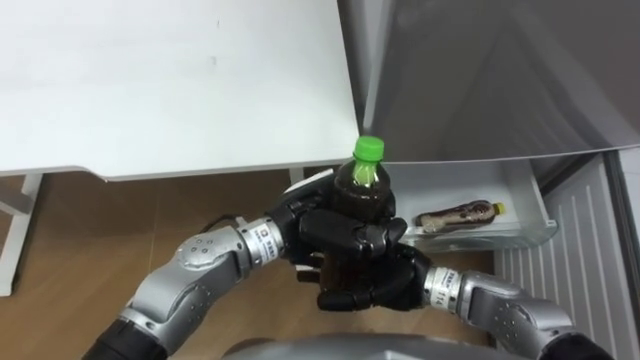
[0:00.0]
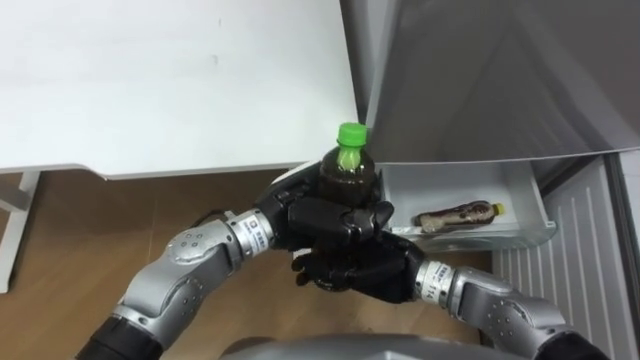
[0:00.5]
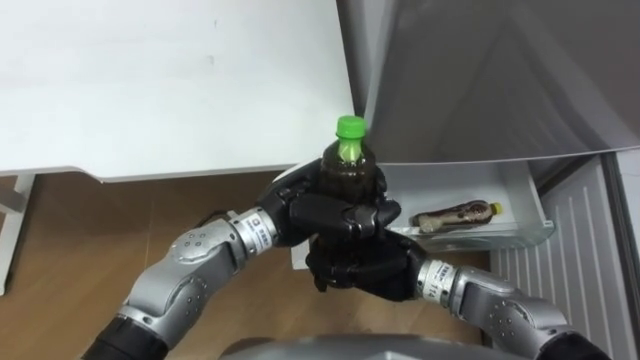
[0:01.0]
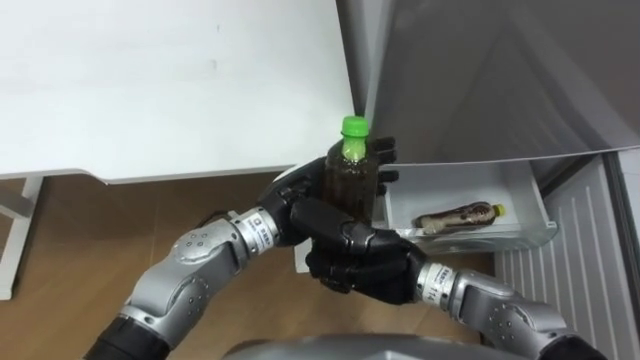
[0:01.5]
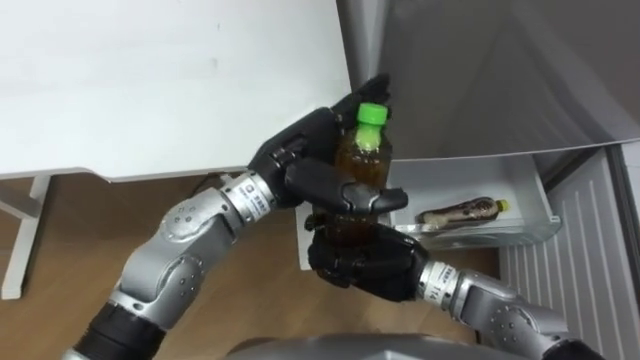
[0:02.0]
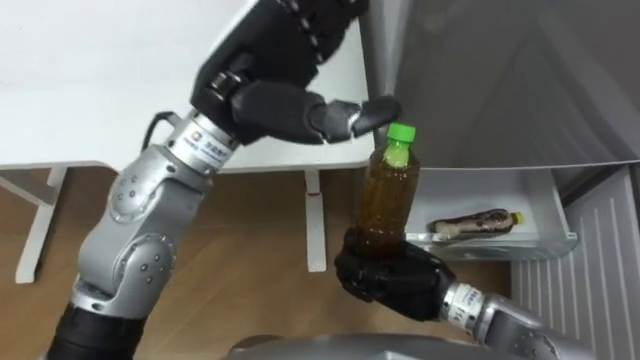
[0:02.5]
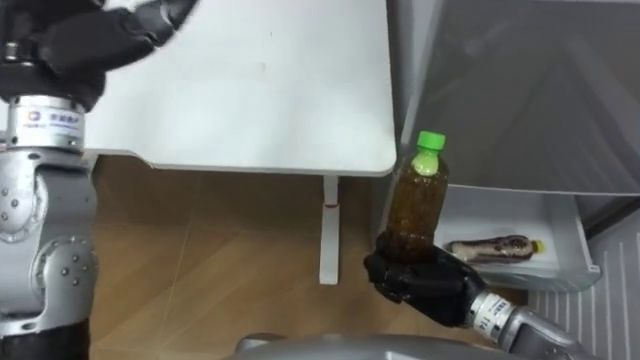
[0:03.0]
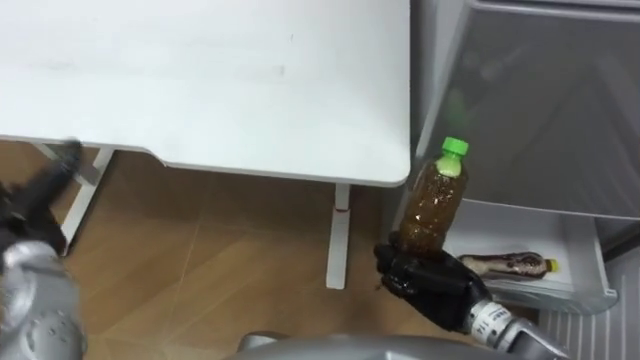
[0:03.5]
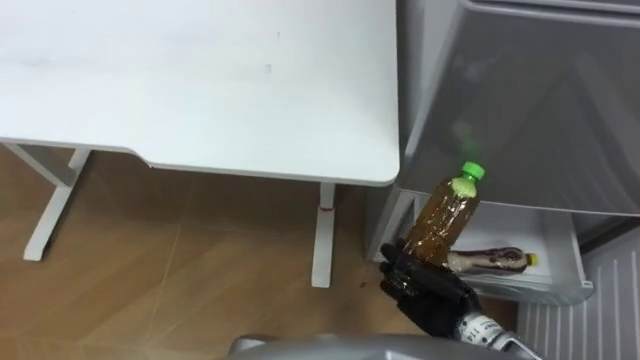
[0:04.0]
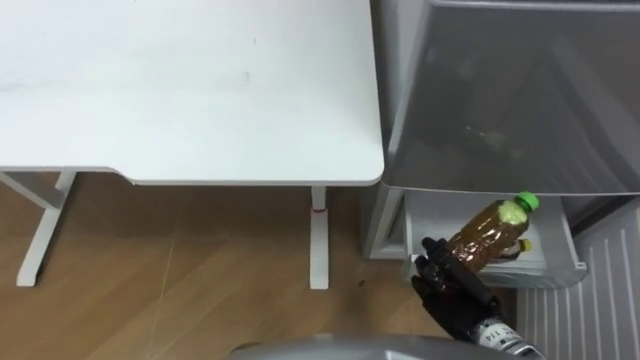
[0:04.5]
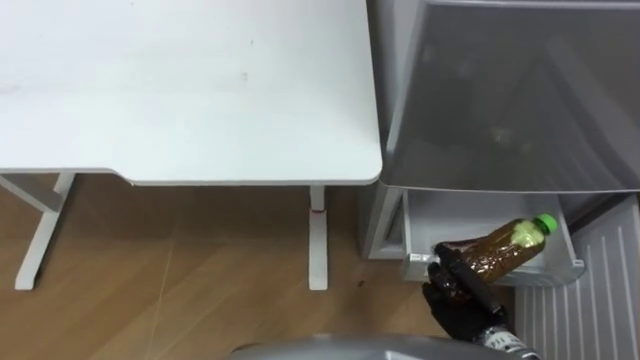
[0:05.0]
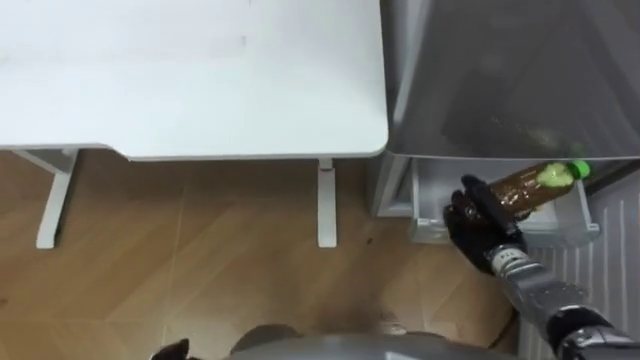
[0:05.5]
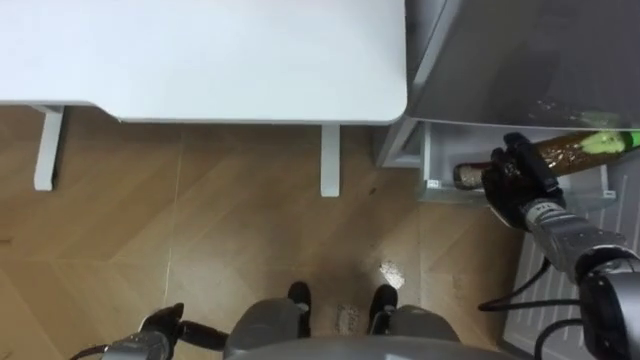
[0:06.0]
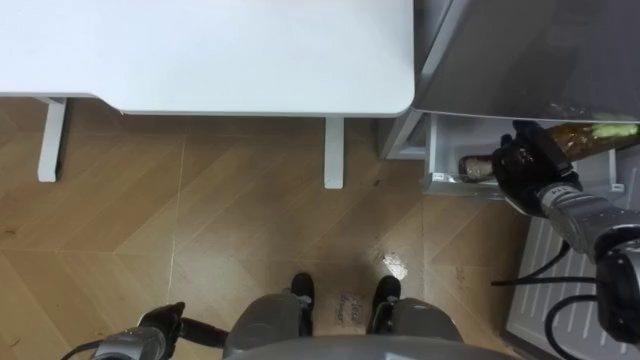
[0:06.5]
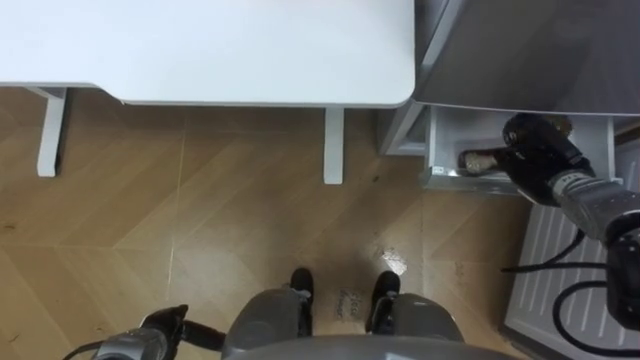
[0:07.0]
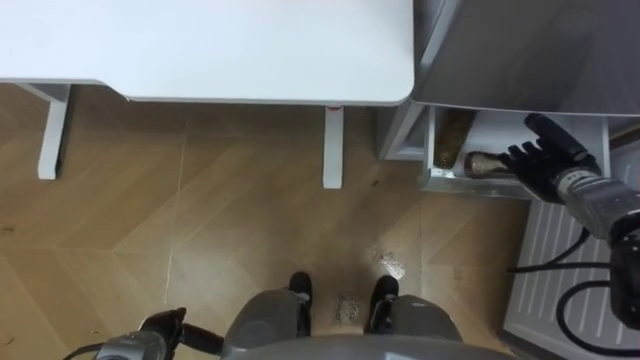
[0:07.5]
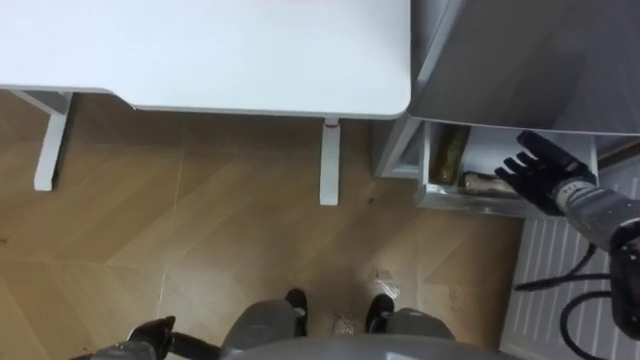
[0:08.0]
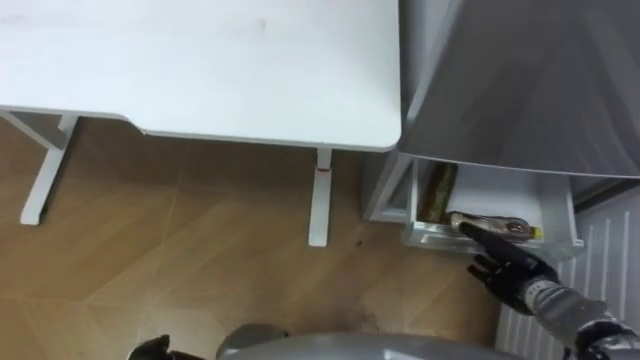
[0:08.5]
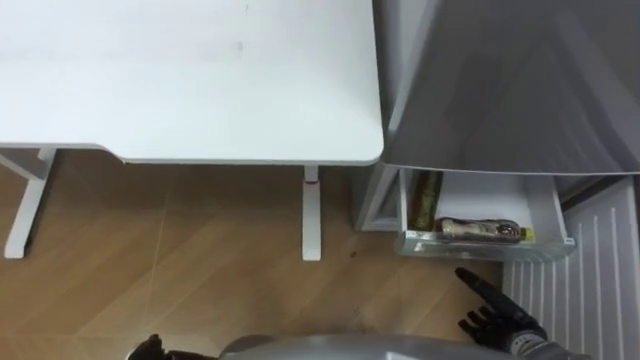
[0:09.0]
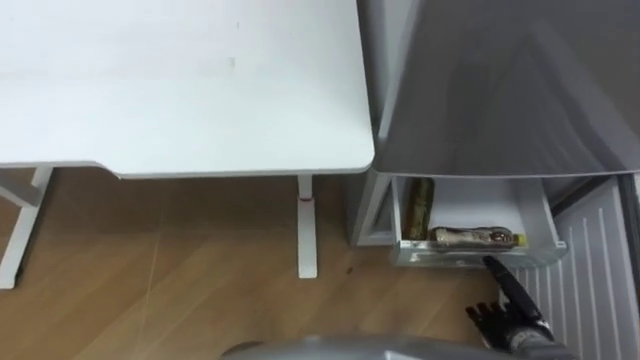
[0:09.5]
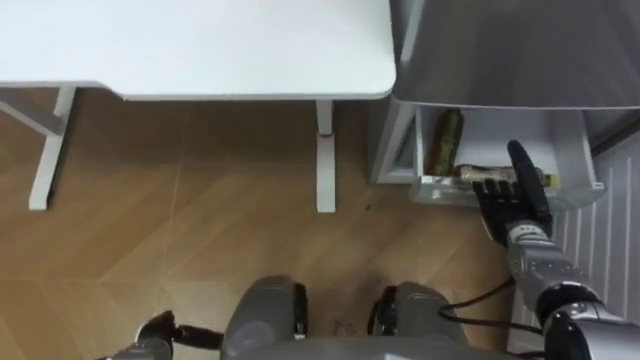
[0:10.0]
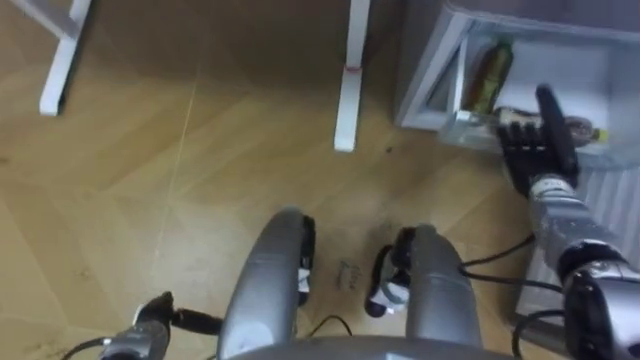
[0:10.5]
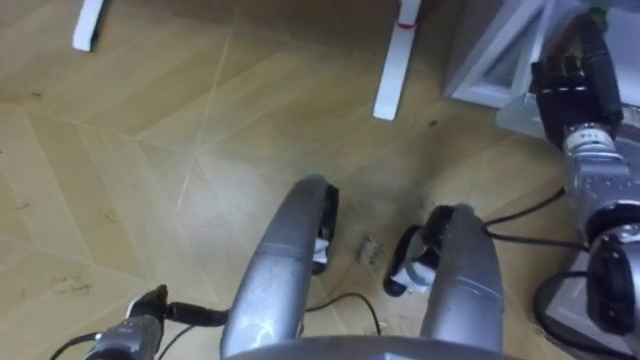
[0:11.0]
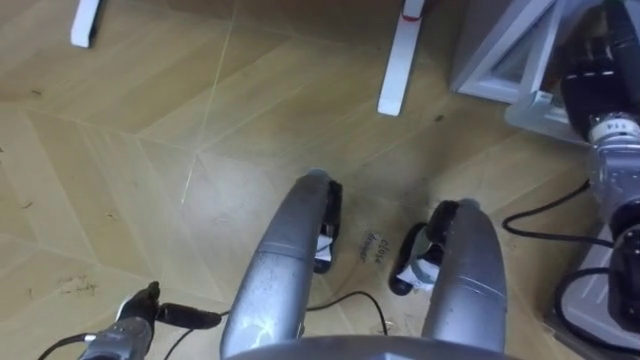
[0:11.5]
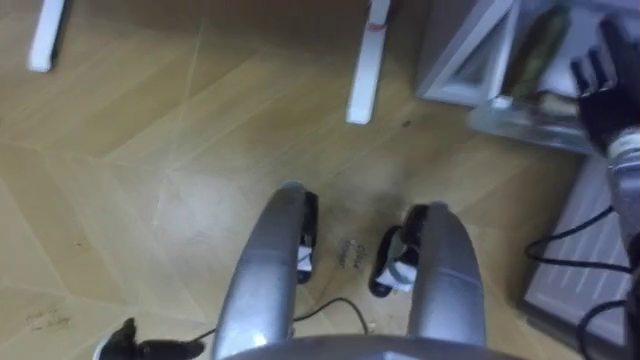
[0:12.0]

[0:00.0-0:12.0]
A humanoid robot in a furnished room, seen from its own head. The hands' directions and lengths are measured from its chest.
Task of the whole recording: Place the drink on the table on the bottom shelf of the refrigerator, then close the drawer and the refrigerator door.
0:00.0 to 0:02.0: The left hand goes approximately 5 cm upward, and opens its fingers, while the right hand closes its fingers.
0:02.0 to 0:04.0: The right hand shifts roughly 10 cm to the right and downward.
0:04.0 to 0:06.0: The right hand is displaced to the right and forward by about 20 cm.
0:06.0 to 0:08.0: The right hand shifts by approximately 5 cm, and opens.
0:08.0 to 0:10.0: The right hand reaches approximately 20 cm backward, then returns.
0:10.0 to 0:12.0: The right hand shifts roughly 20 cm upward, forward and to the right.

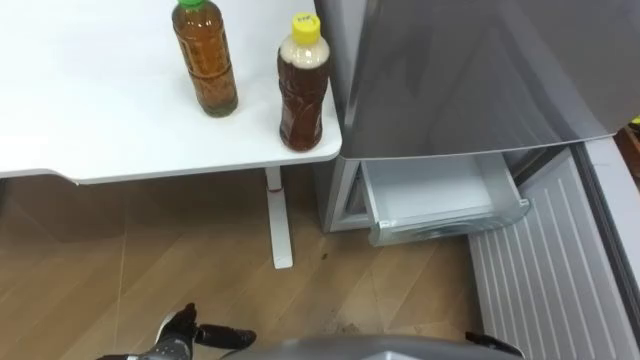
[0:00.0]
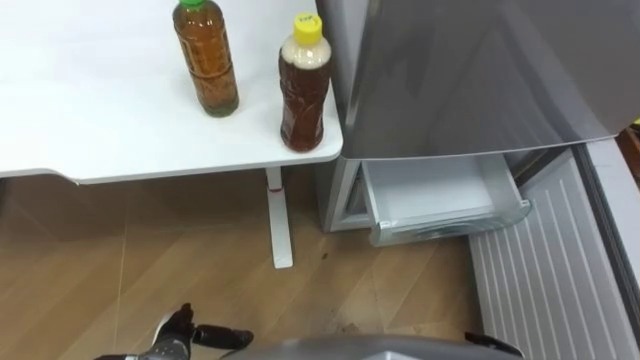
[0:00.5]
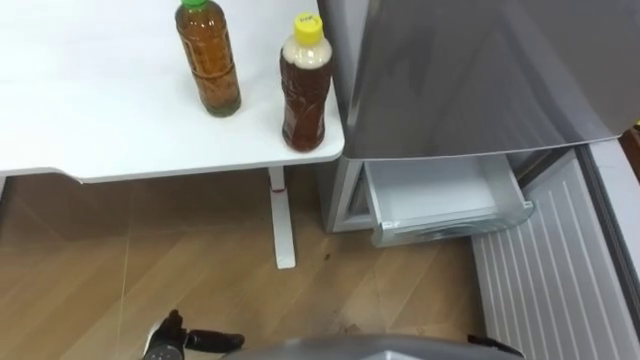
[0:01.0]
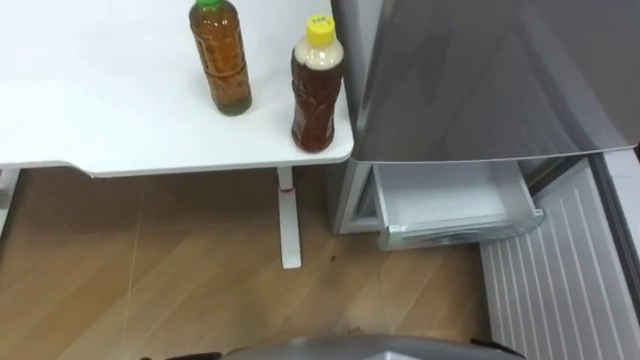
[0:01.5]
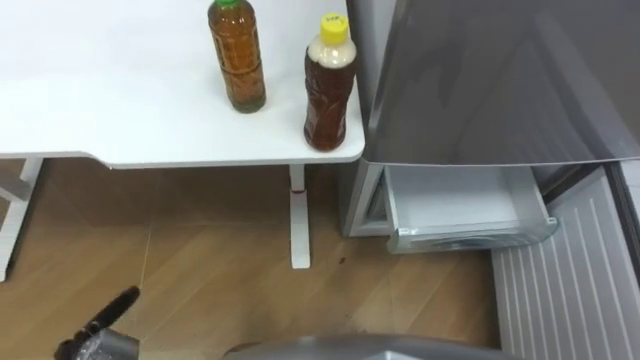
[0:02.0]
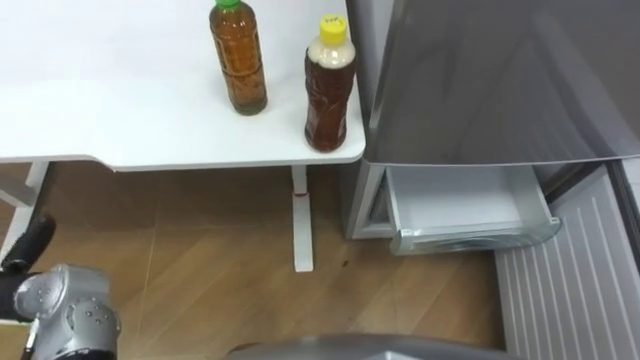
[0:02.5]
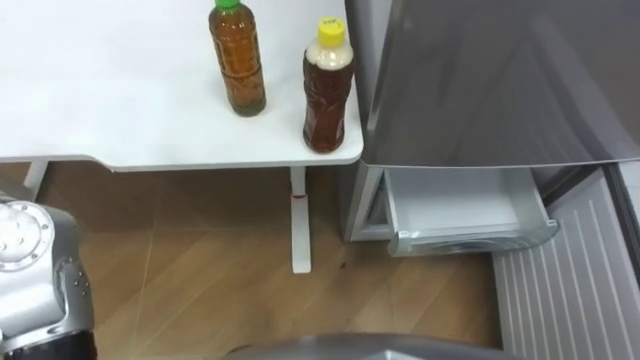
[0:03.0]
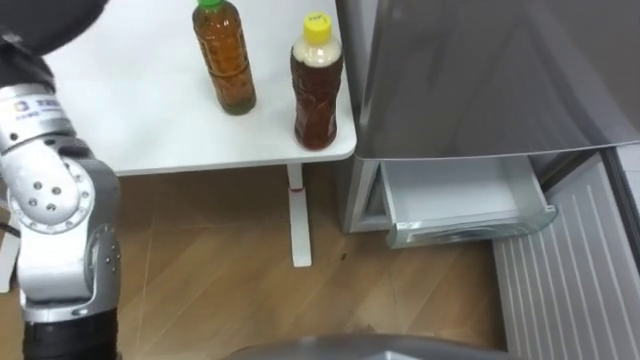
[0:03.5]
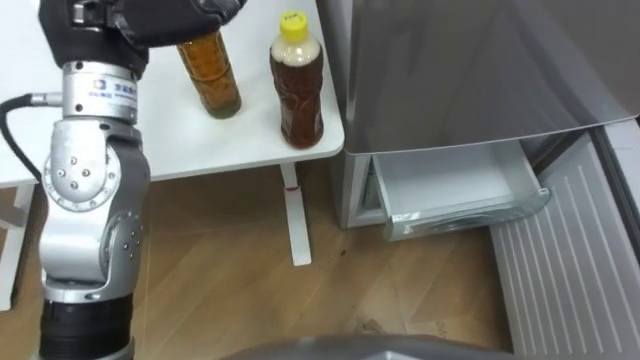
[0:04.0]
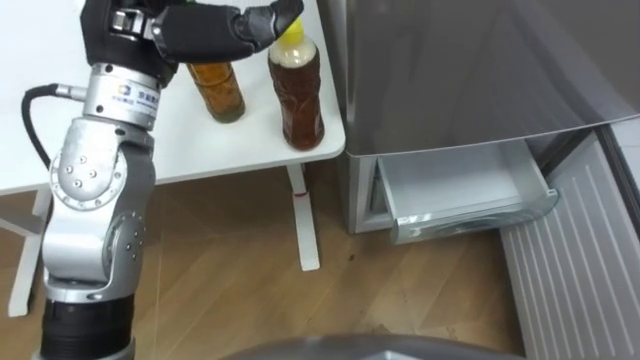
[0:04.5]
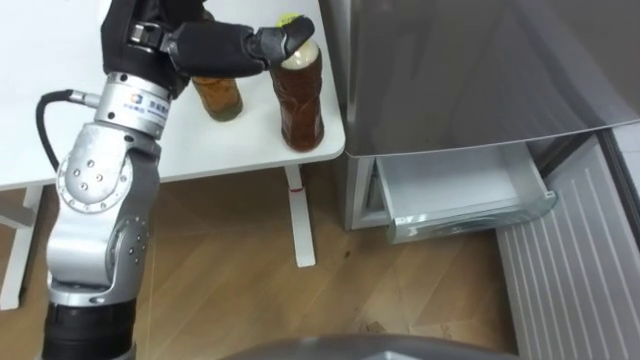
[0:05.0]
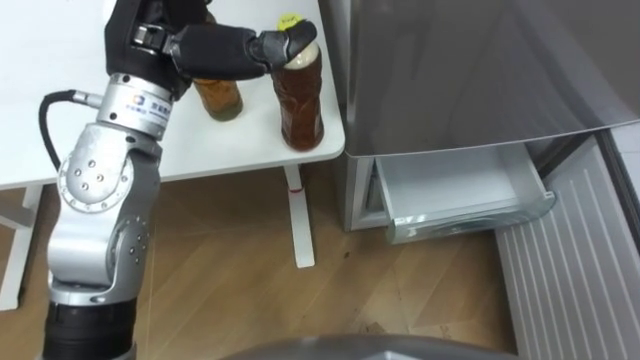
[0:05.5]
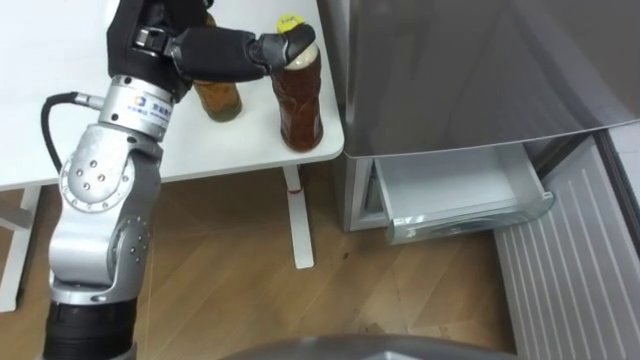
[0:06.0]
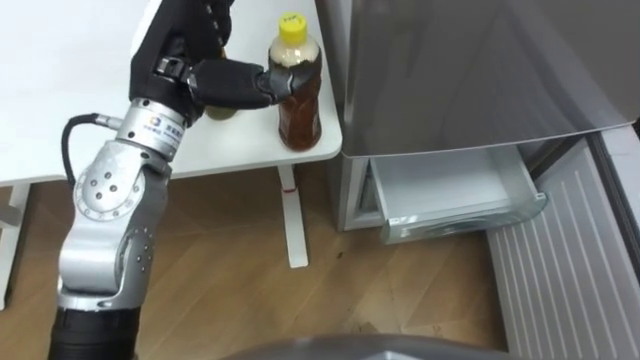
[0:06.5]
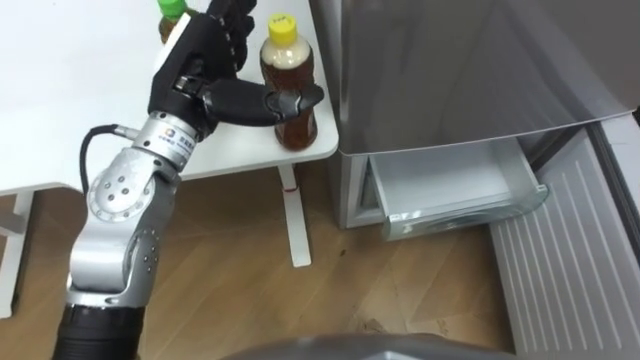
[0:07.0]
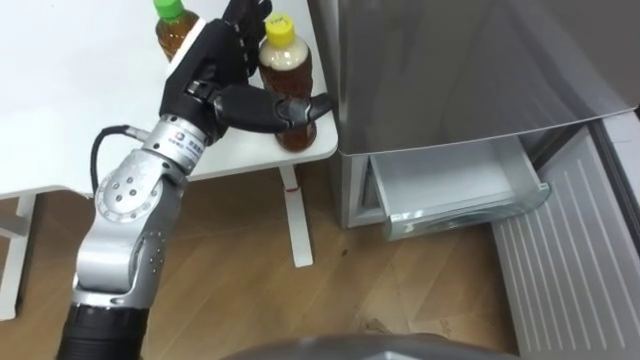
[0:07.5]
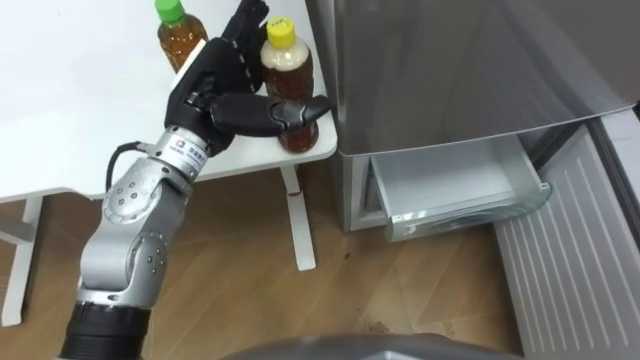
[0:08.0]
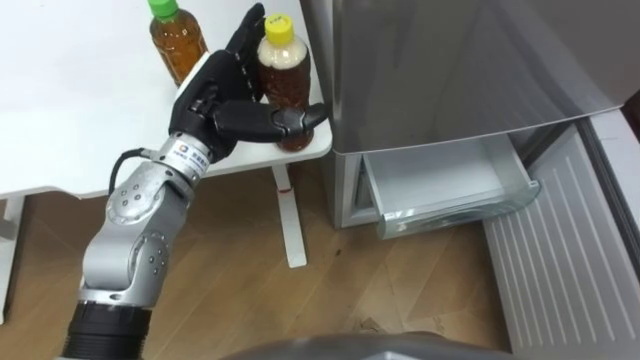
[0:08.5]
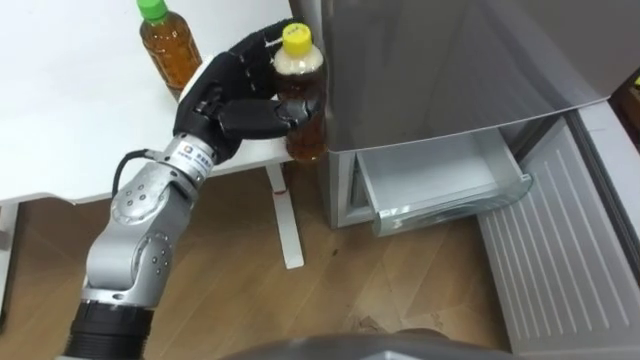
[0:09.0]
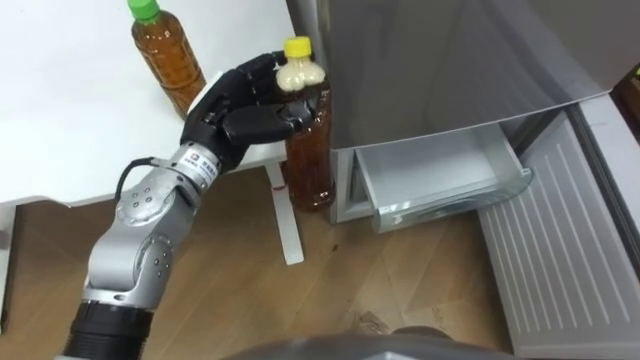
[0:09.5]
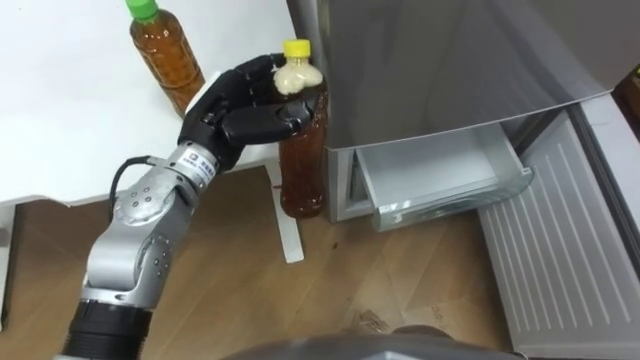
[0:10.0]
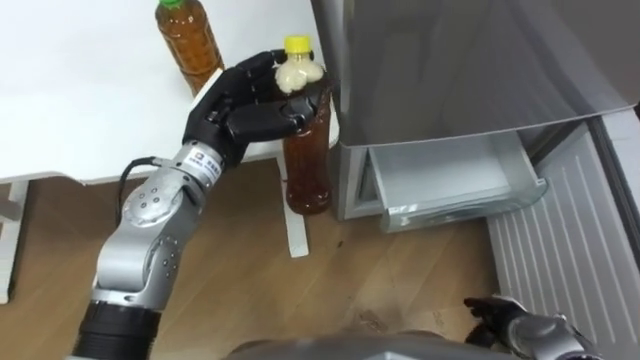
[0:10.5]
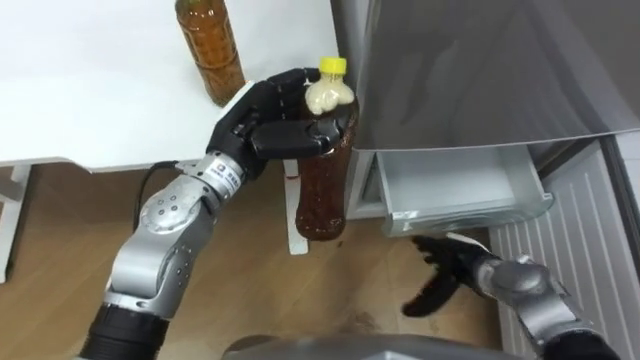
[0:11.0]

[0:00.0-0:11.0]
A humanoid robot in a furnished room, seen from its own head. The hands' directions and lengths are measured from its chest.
Task of the whole recording: Place the drink on the table on the bottom shelf of the refrigerator, then close the drawer and the refrigerator door.
0:05.5 to 0:07.5: The left hand goes roughly 10 cm downward.
